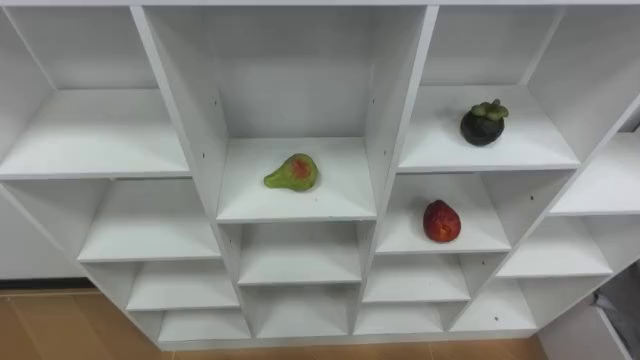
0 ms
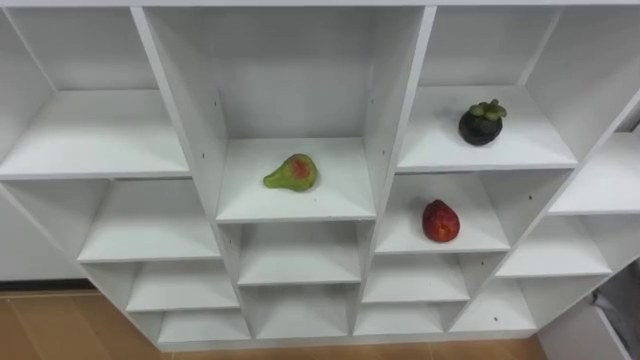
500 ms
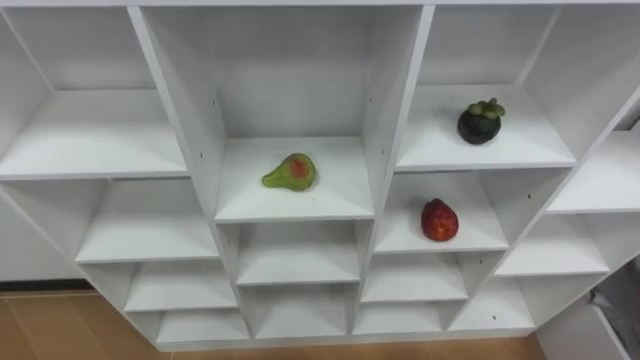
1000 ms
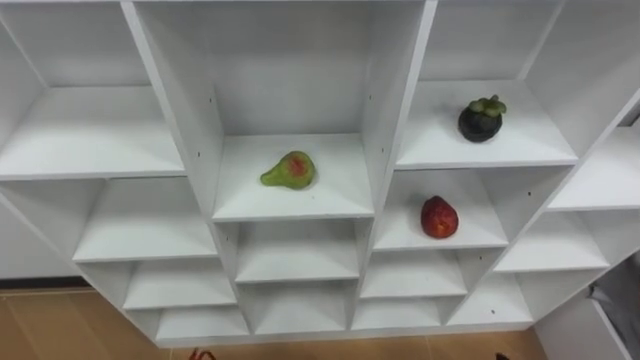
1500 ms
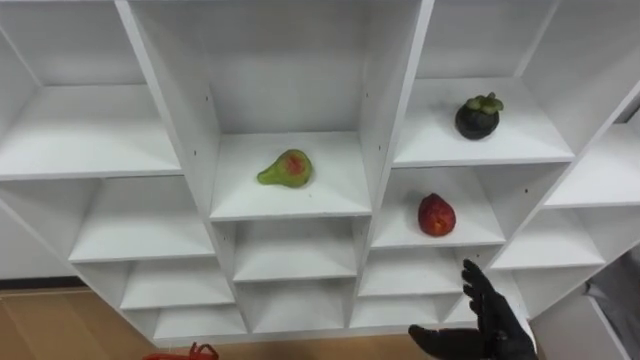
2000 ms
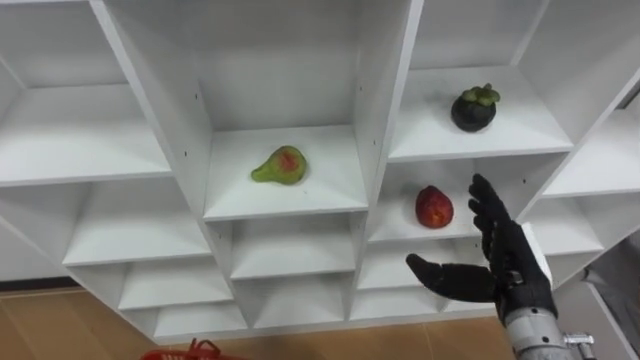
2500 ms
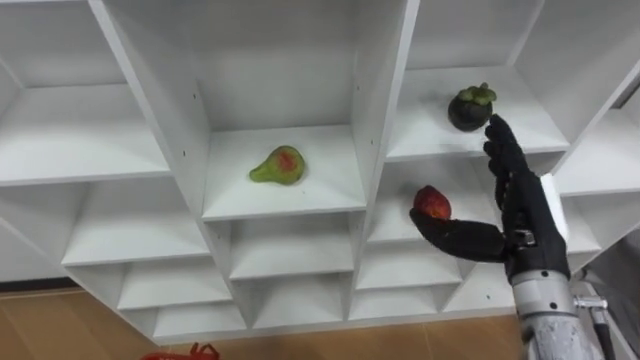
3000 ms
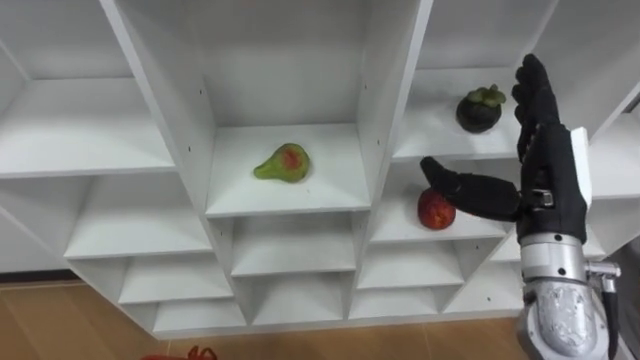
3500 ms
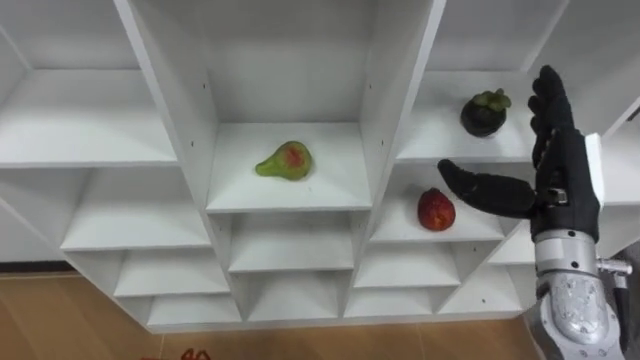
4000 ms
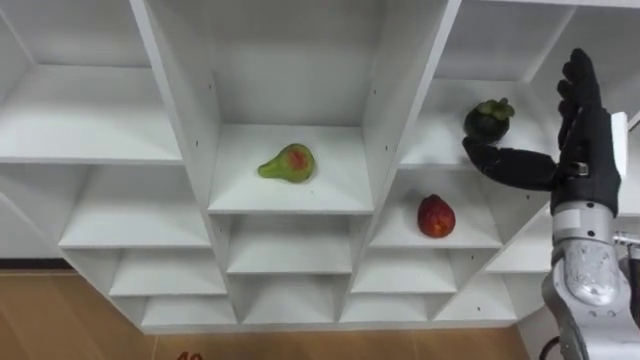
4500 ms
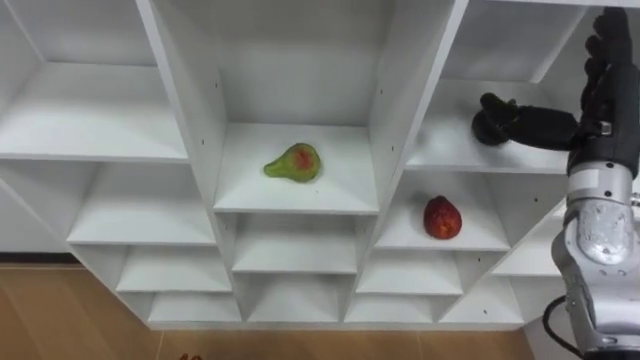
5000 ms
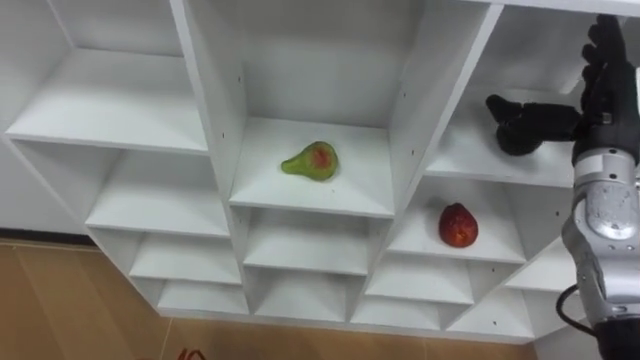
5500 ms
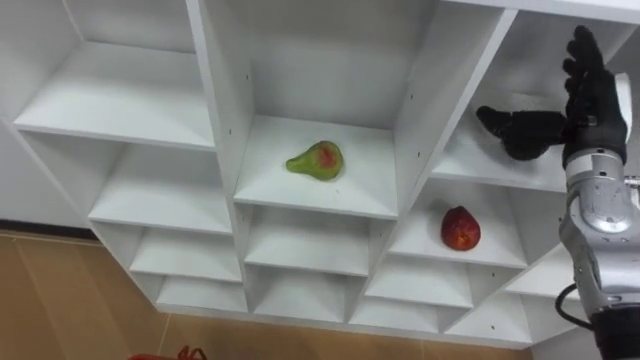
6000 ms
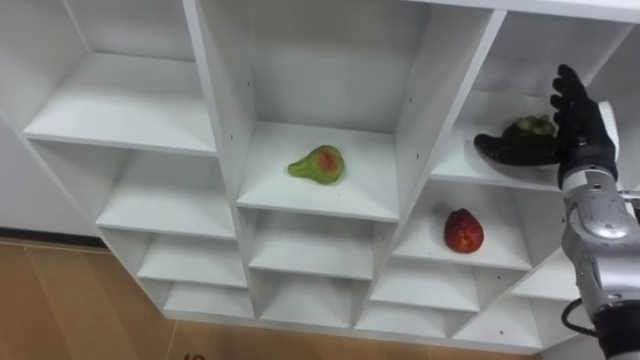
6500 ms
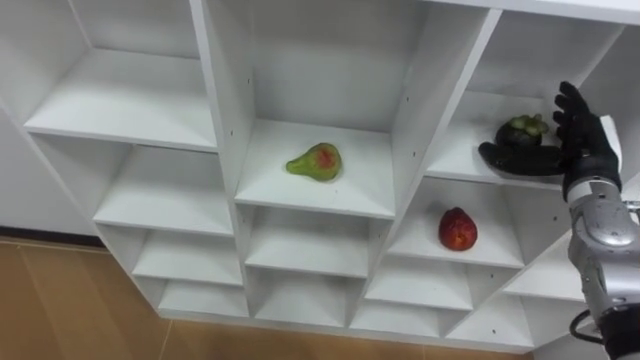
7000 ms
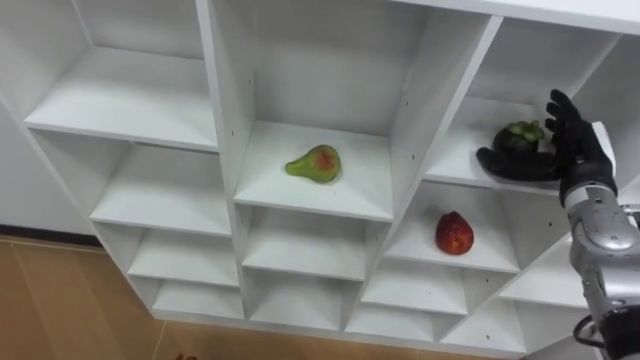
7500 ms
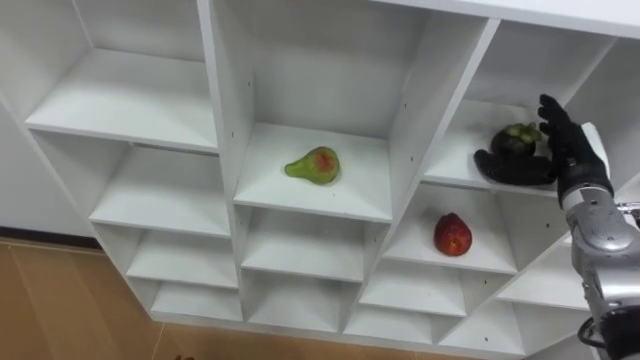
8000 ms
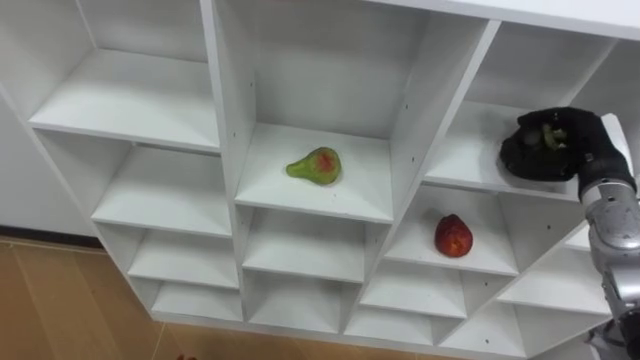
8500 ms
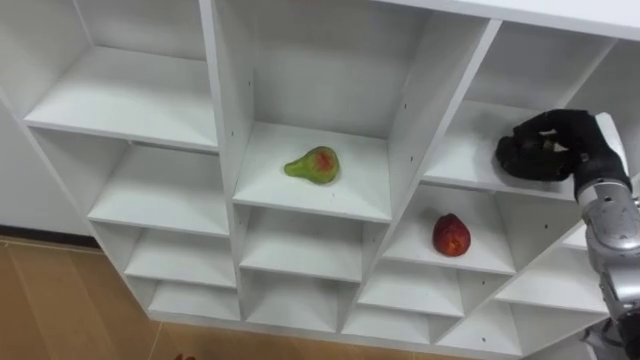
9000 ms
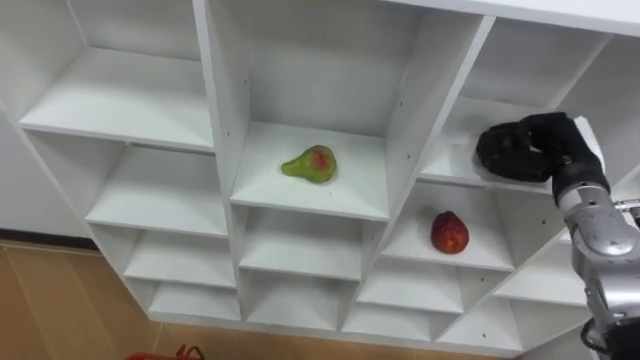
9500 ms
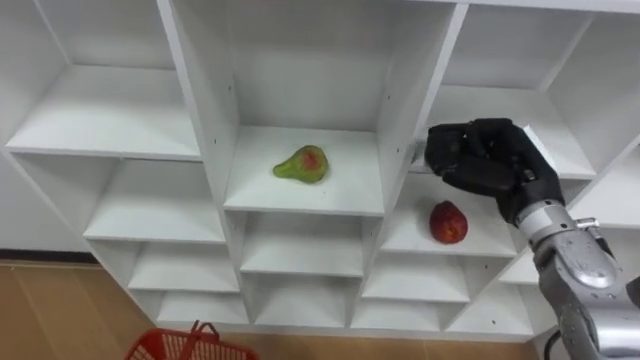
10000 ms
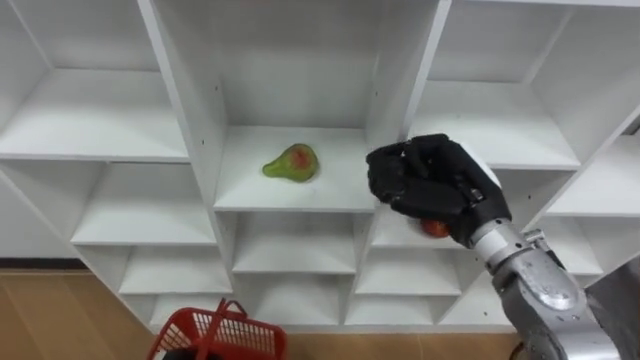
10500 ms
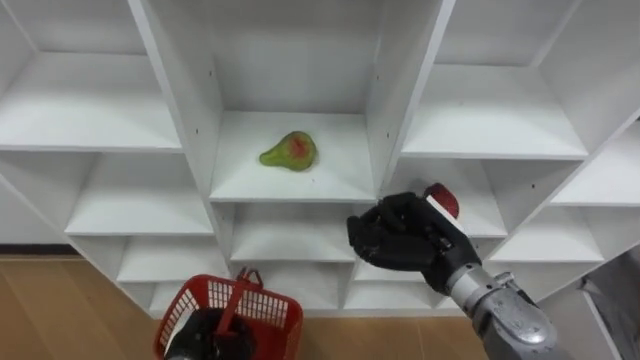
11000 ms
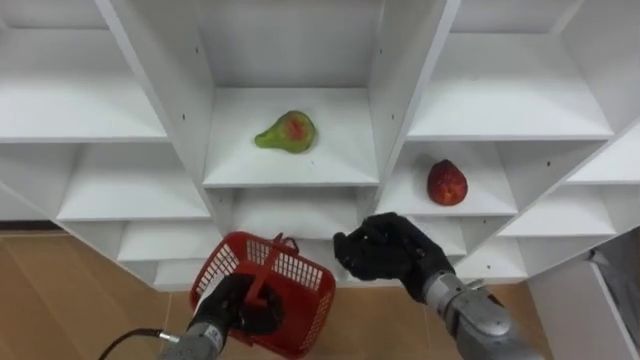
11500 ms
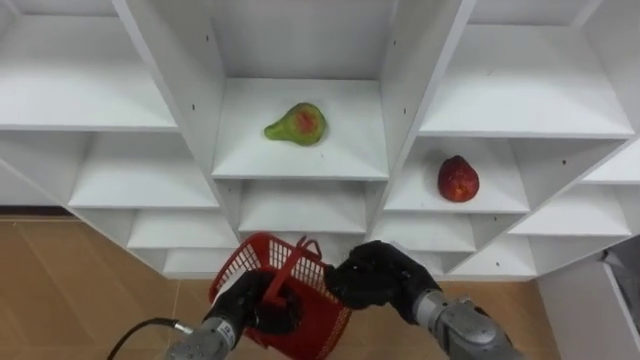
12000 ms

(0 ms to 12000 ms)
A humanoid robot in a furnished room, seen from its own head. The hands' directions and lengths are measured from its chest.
Task of the whole recording: Hold the basket and collect the fruits from 3 different cells of the closet into it.
2000 ms - 4000 ms: The right hand is displaced upward and forward by some 25 cm.
4000 ms - 6000 ms: The right hand shifts roughly 10 cm forward and to the right.
6000 ms - 8000 ms: The right hand is displaced downward by some 5 cm.
8000 ms - 10000 ms: The right hand goes roughly 10 cm to the left, and closes up.
10000 ms - 12000 ms: The right hand shifts approximately 20 cm downward, to the left and backward.

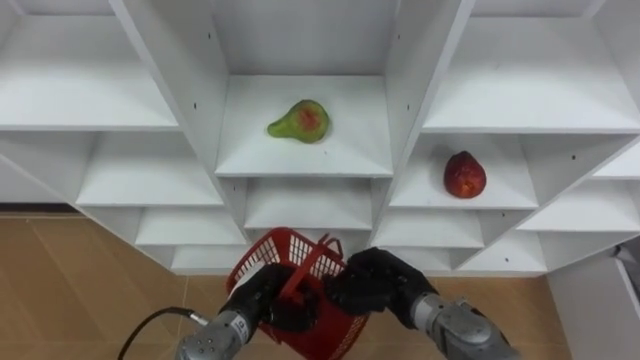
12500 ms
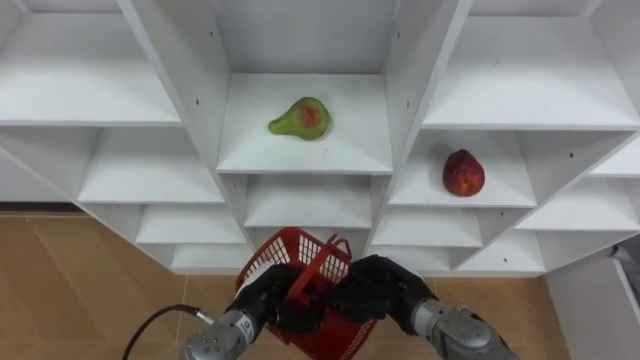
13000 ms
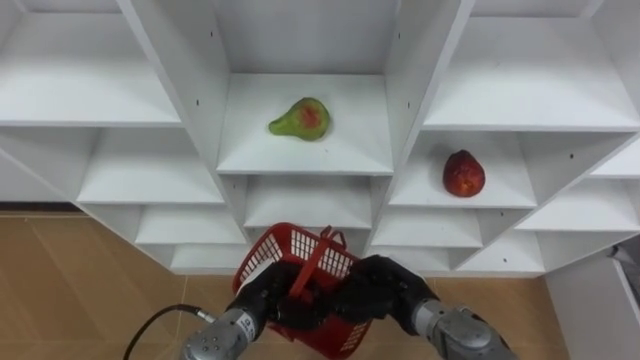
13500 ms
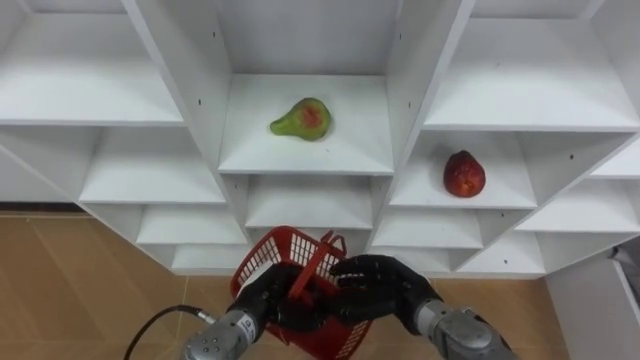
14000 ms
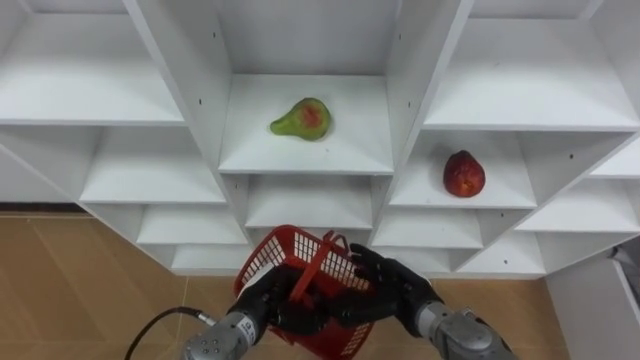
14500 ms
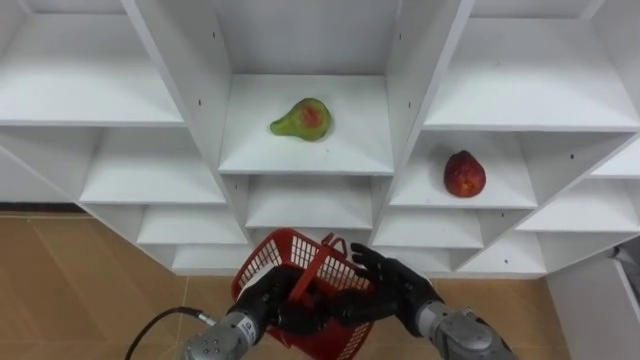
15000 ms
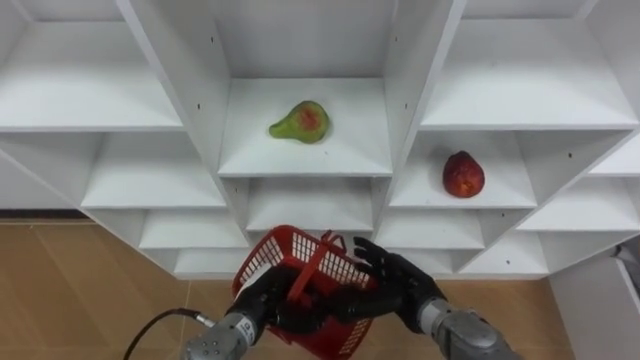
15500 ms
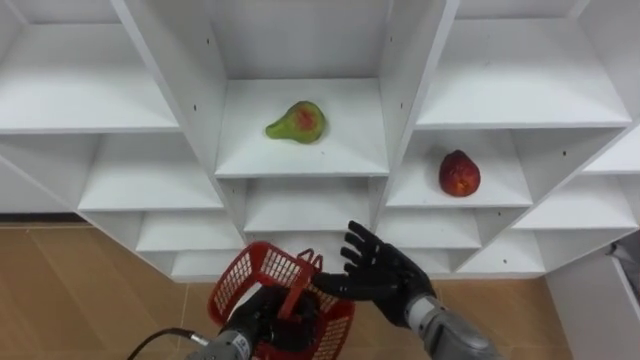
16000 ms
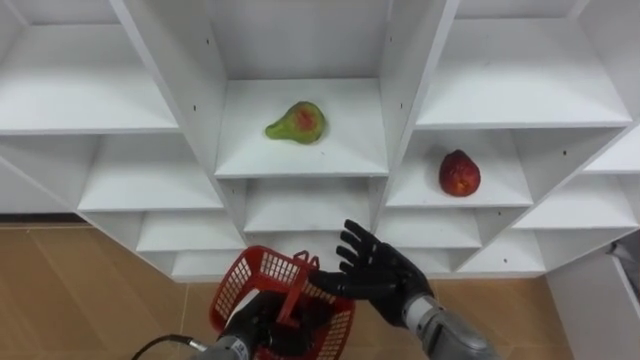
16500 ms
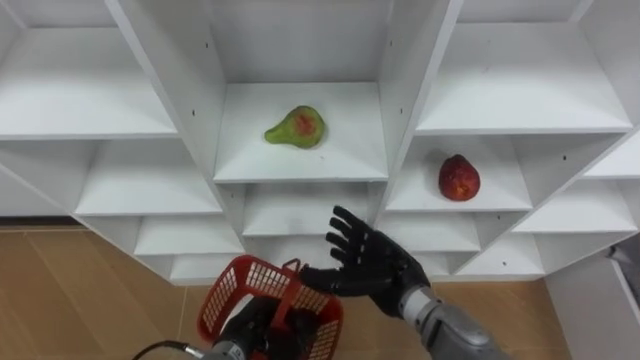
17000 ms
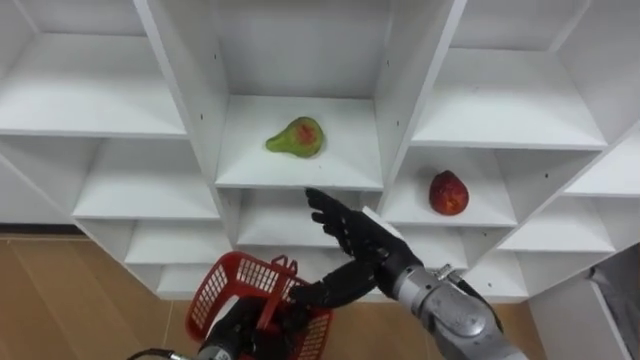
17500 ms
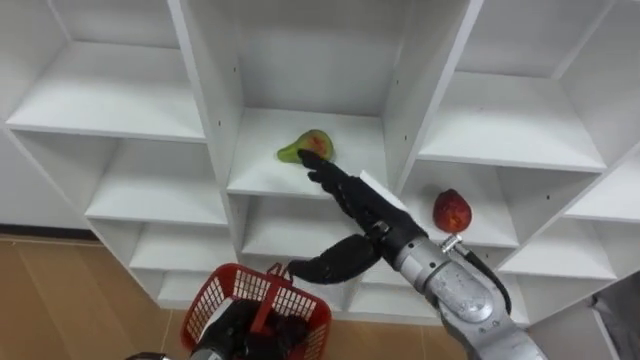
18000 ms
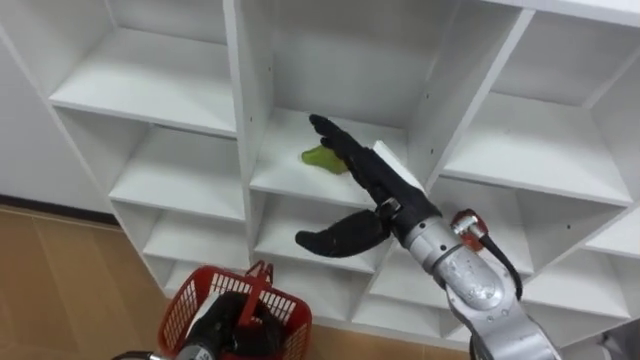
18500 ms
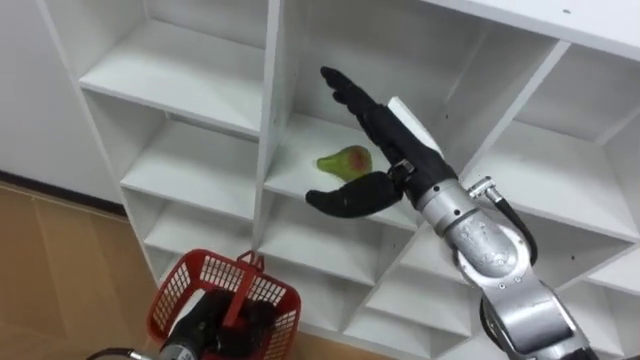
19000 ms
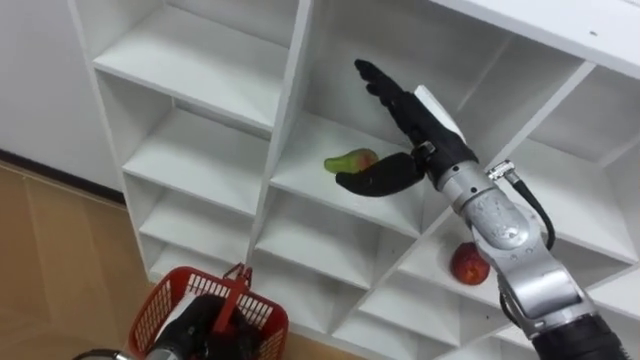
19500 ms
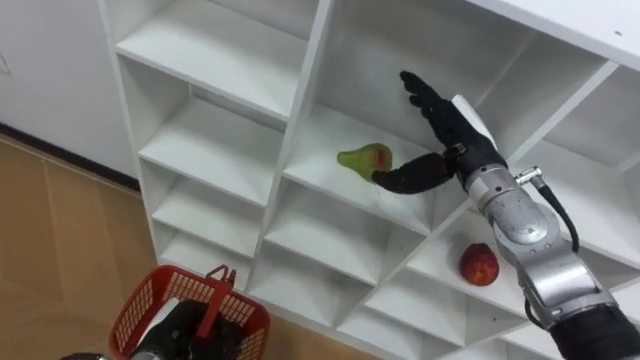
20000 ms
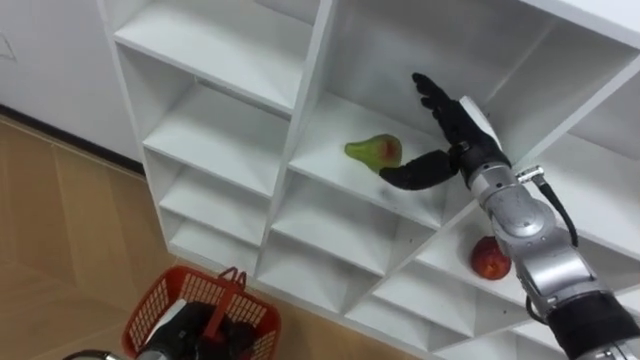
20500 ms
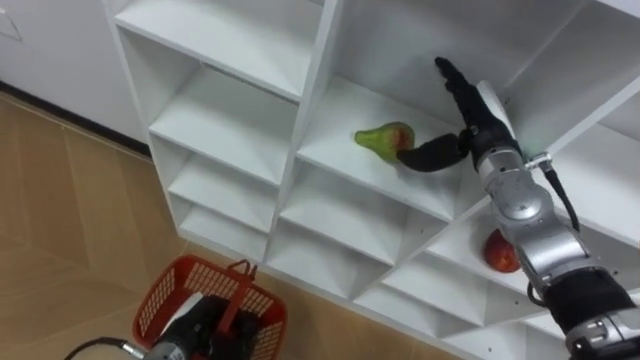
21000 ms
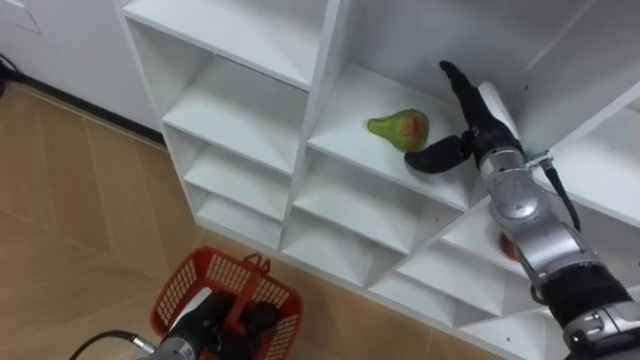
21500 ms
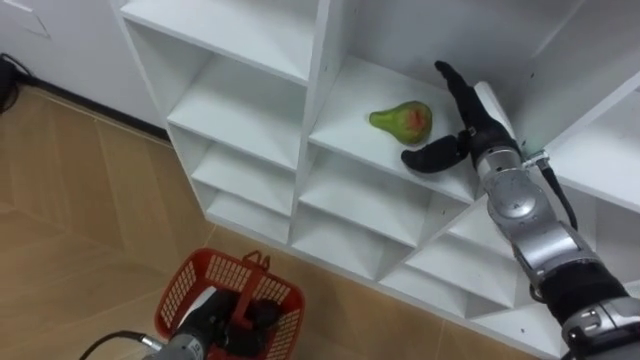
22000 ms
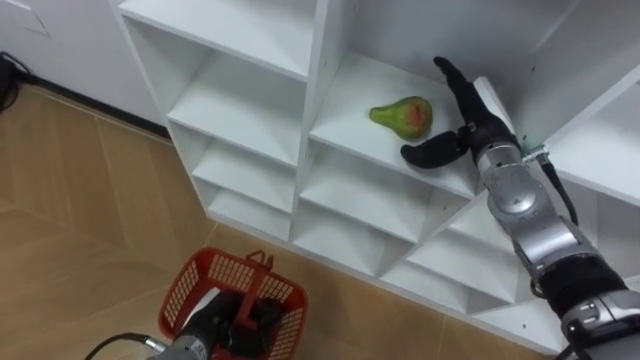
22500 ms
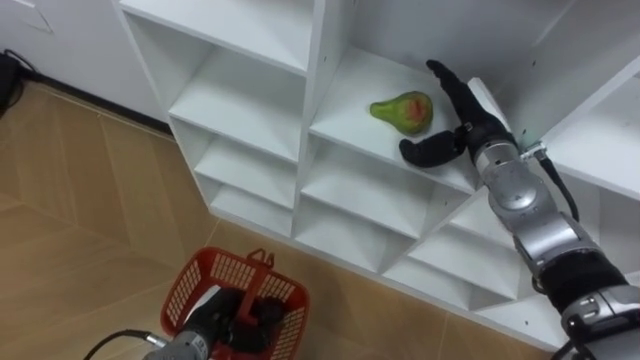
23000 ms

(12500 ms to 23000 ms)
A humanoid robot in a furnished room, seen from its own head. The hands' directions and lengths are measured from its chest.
Task of the whole recording: Hold the basket and collect the fruits from 3 different cells of the closet into it.
12500 ms - 14500 ms: The right hand opens its fingers.
16500 ms - 19000 ms: The left hand heads to the left, covering approximately 5 cm; the right hand goes approximately 20 cm upward.
19000 ms - 21000 ms: The right hand is displaced to the right and forward by about 15 cm.
